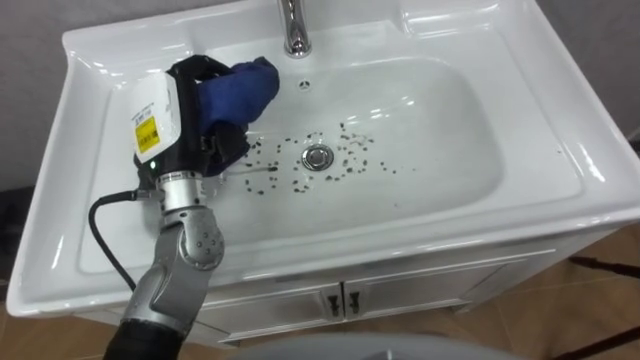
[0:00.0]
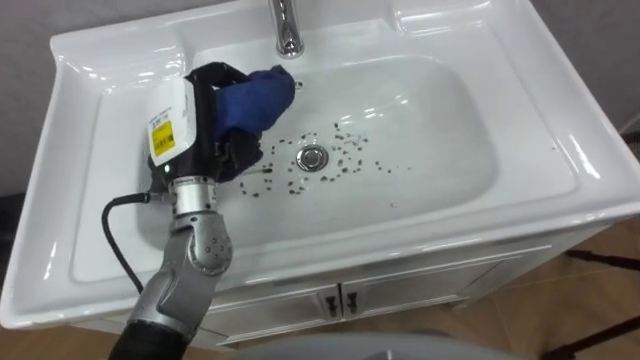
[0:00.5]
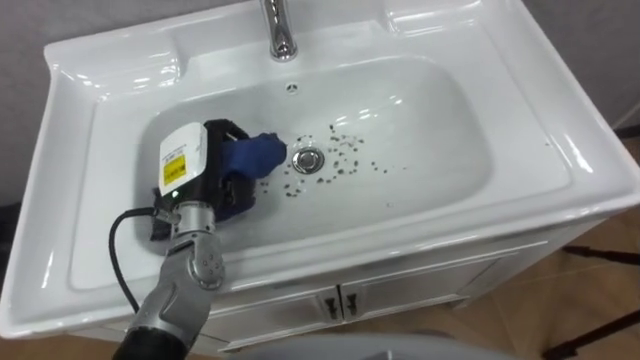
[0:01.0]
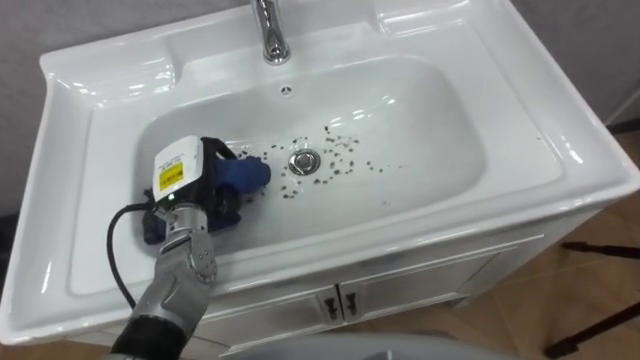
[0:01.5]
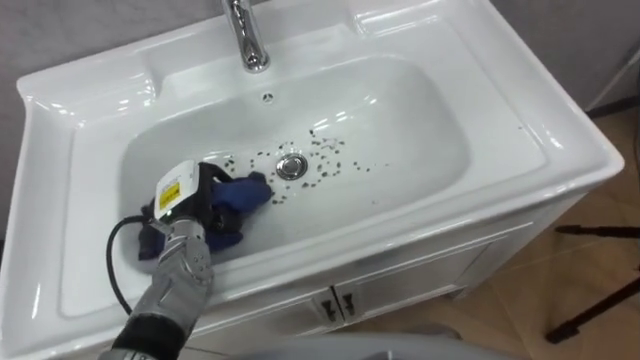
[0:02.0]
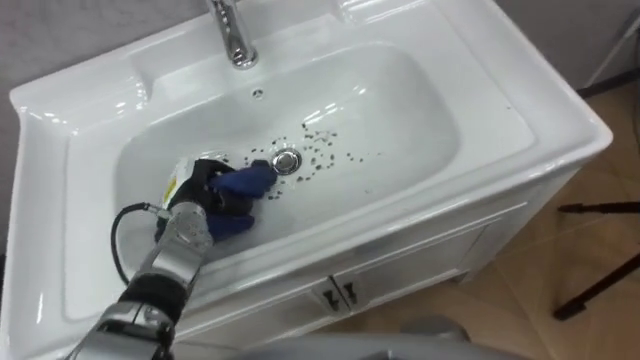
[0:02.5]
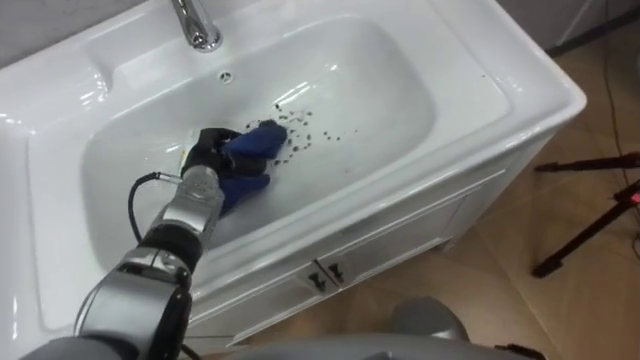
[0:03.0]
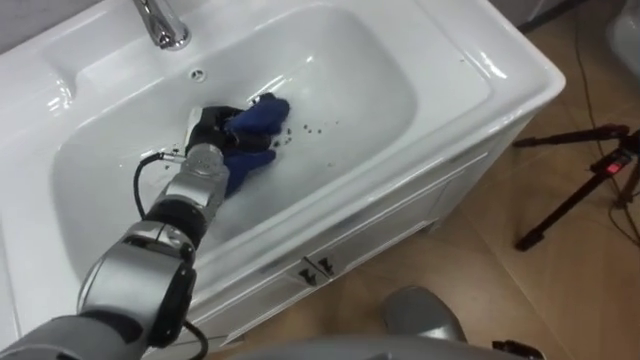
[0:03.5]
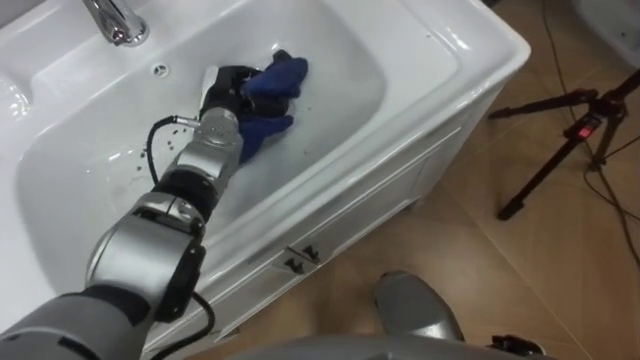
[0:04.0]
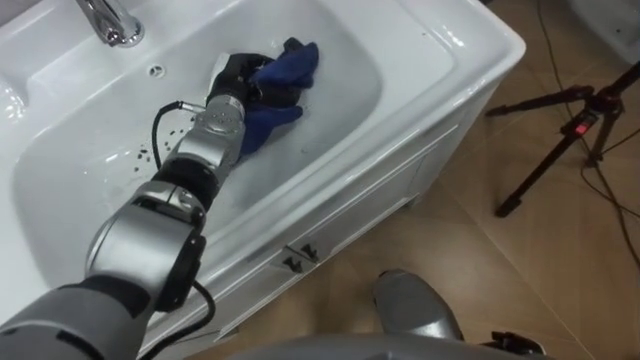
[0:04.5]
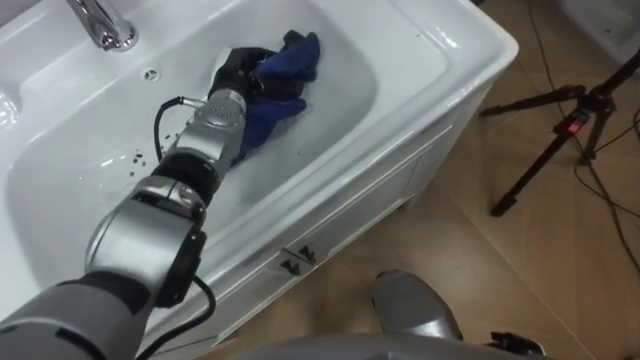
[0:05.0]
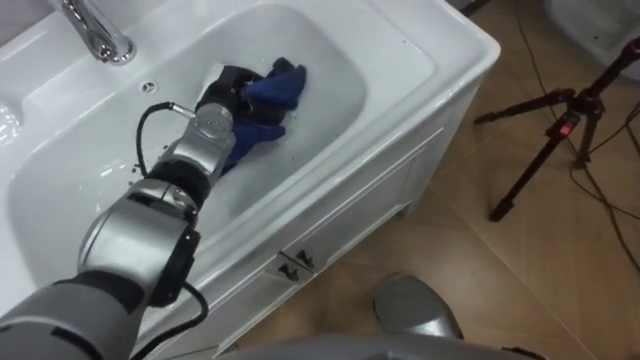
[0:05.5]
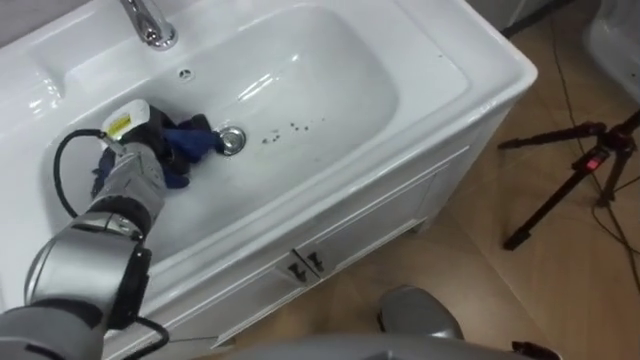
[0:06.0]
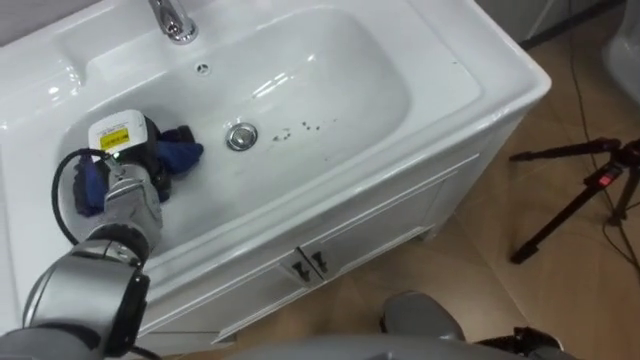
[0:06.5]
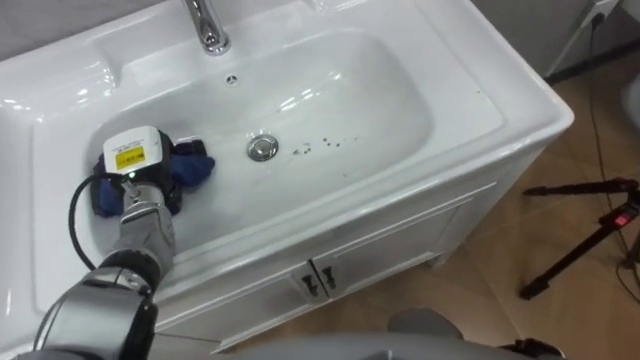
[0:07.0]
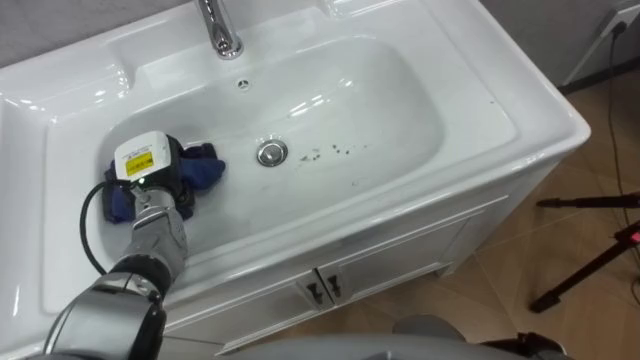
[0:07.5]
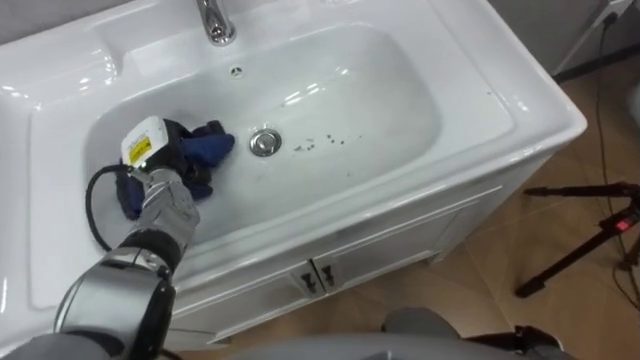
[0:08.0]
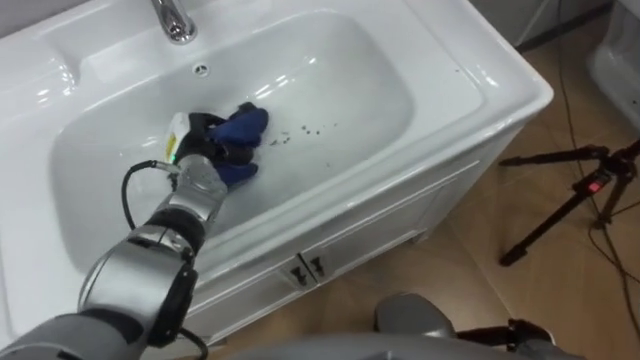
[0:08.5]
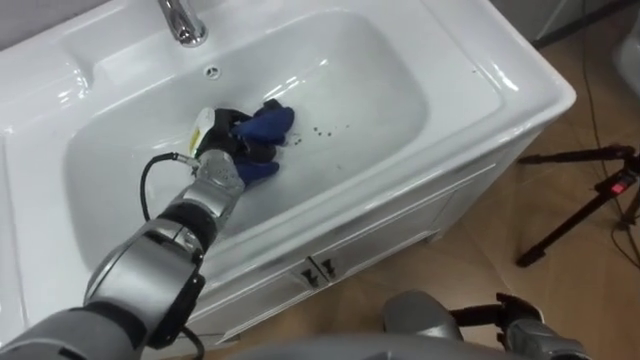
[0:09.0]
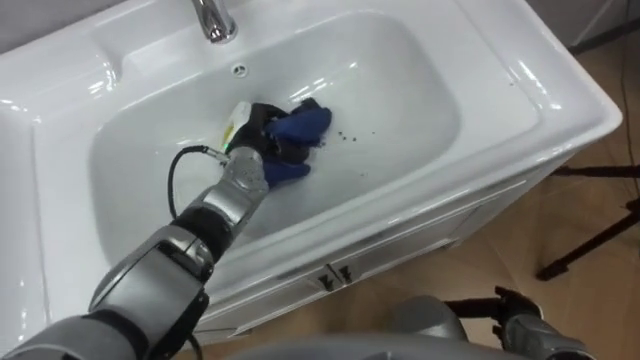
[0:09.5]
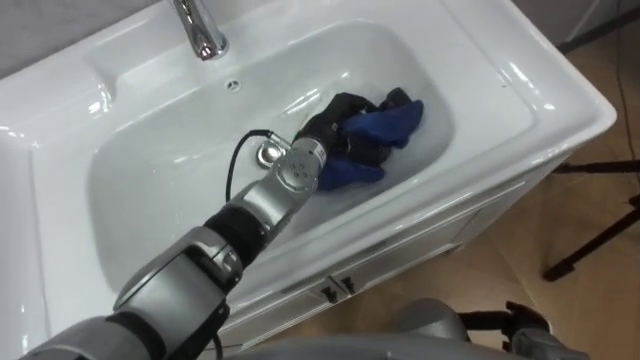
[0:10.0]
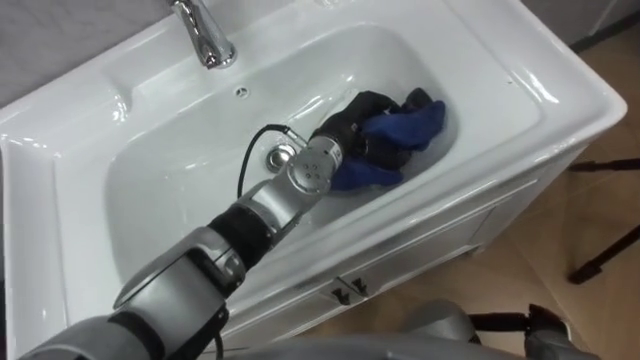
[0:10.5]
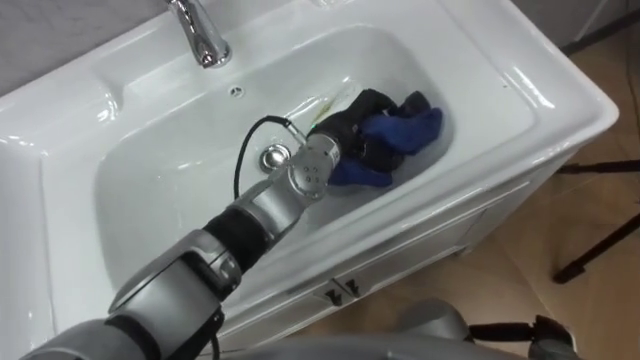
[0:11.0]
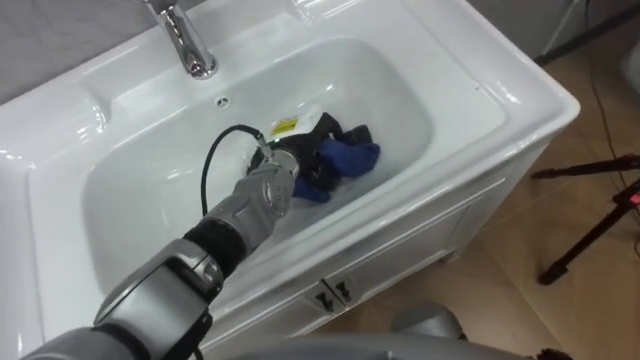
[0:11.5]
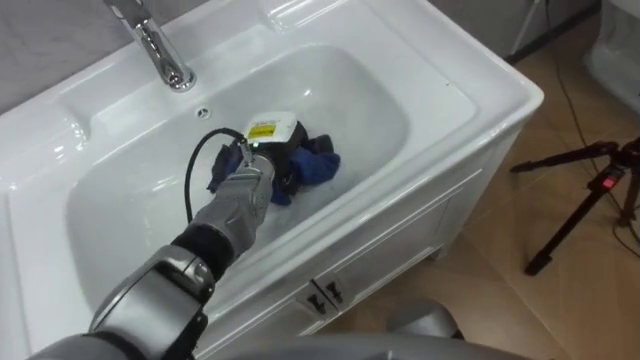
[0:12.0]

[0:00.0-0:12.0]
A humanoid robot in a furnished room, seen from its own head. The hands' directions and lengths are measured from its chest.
Task of the whole recording: Use the cloth on the right to wipe away the black stain in the sink.
0.0 to 2.0 s: The left hand shifts some 15 cm downward.
2.0 to 4.0 s: The left hand is displaced forward, to the right and upward by about 15 cm.
4.0 to 6.0 s: The left hand is displaced to the left by some 15 cm.
8.0 to 10.0 s: The left hand is displaced to the right by some 25 cm.
10.0 to 12.0 s: The left hand travels to the left by approximately 10 cm.

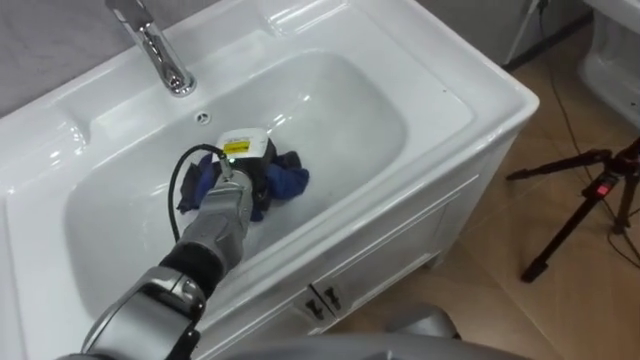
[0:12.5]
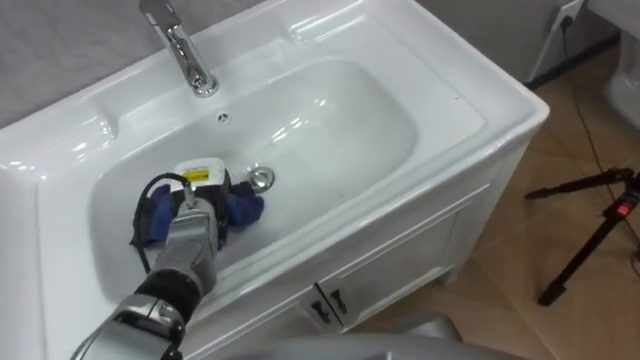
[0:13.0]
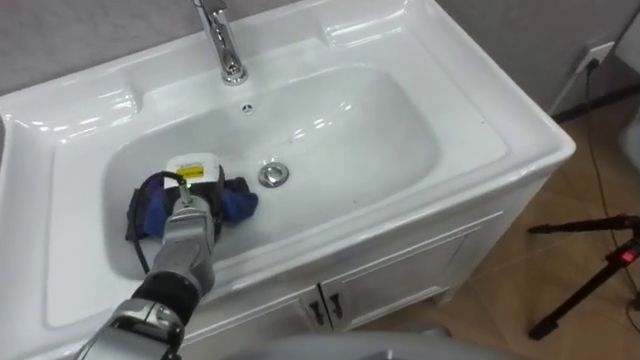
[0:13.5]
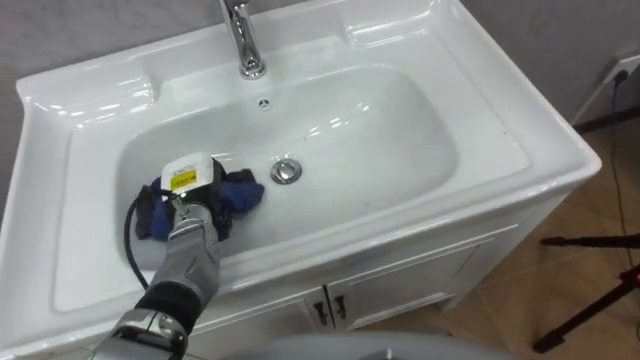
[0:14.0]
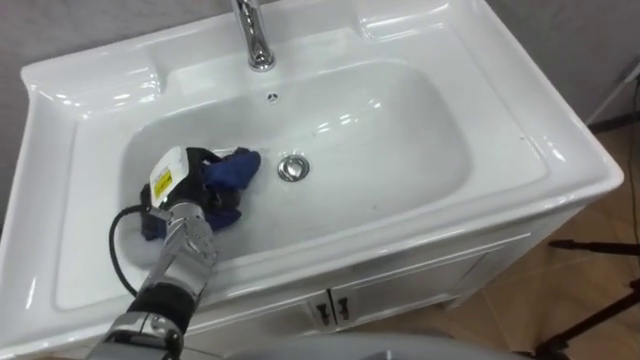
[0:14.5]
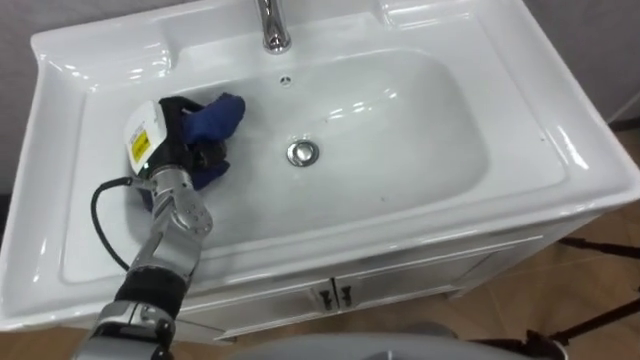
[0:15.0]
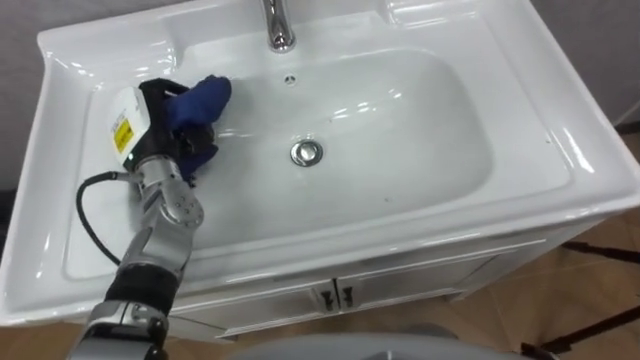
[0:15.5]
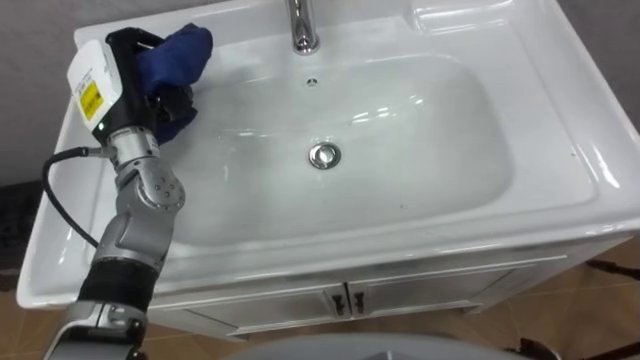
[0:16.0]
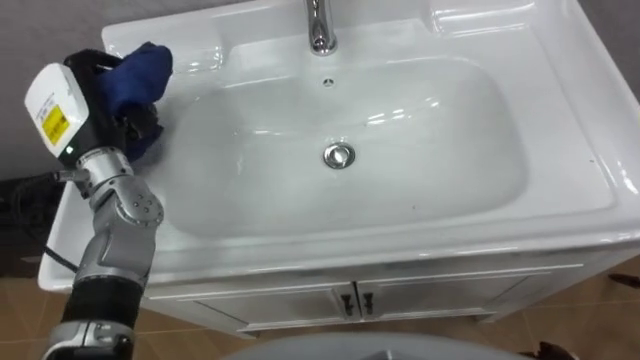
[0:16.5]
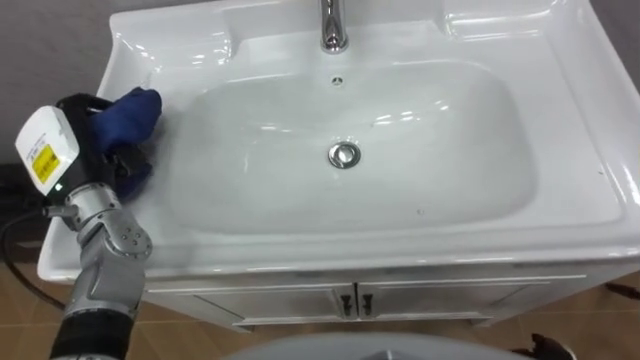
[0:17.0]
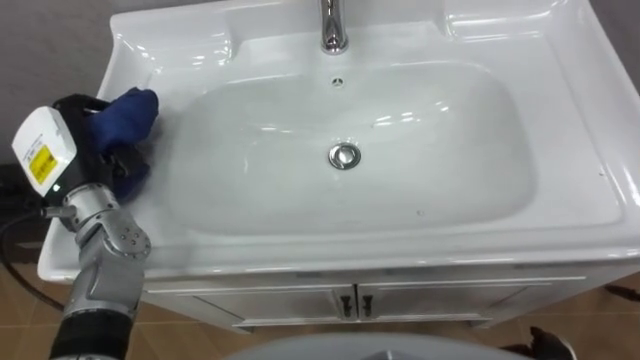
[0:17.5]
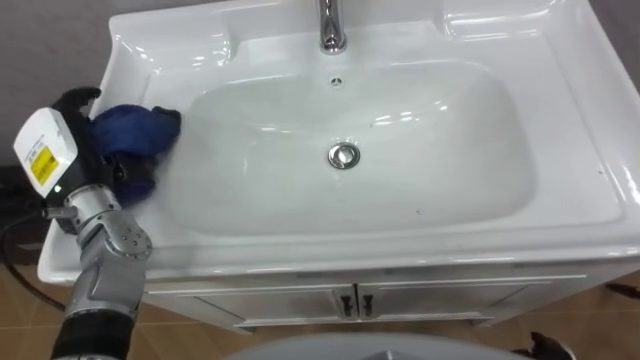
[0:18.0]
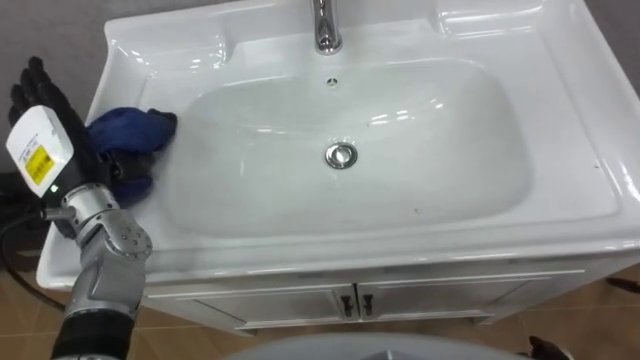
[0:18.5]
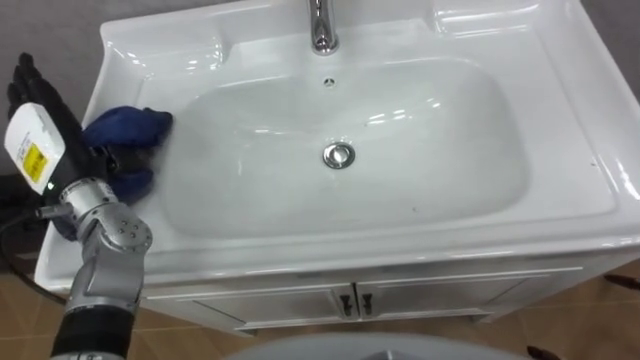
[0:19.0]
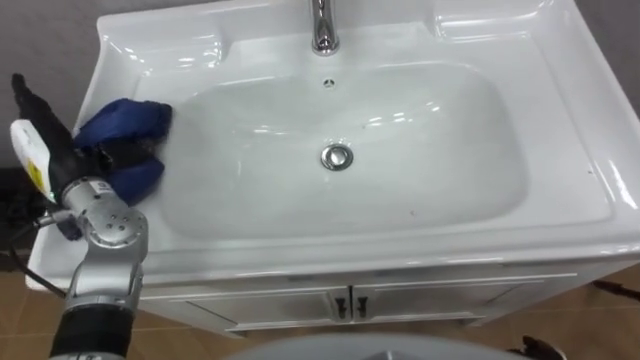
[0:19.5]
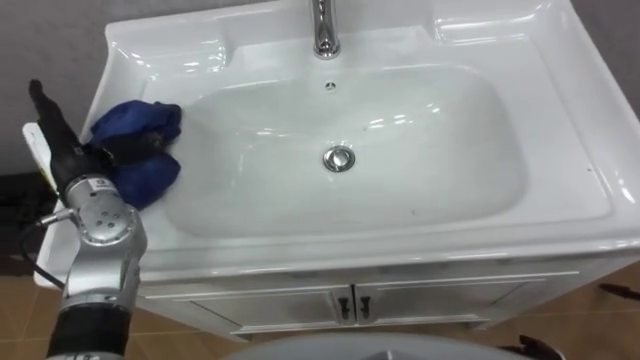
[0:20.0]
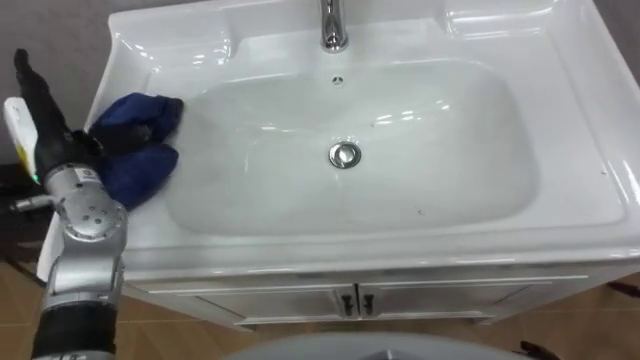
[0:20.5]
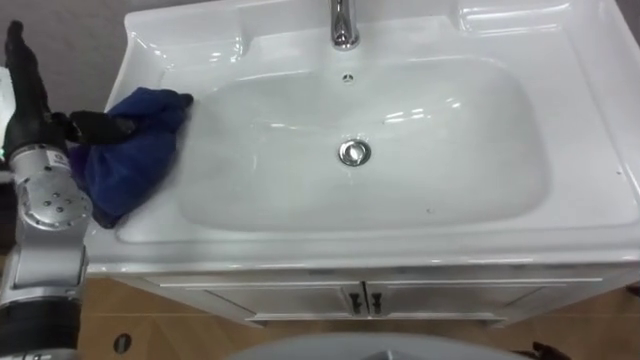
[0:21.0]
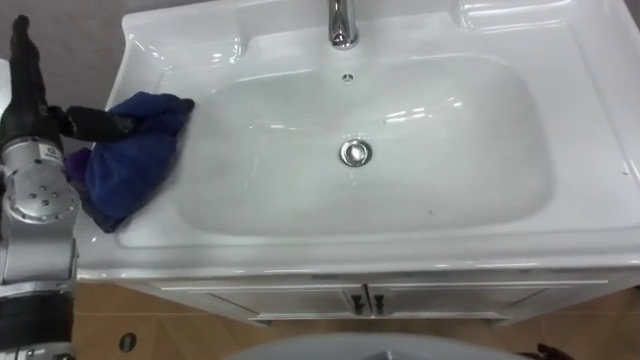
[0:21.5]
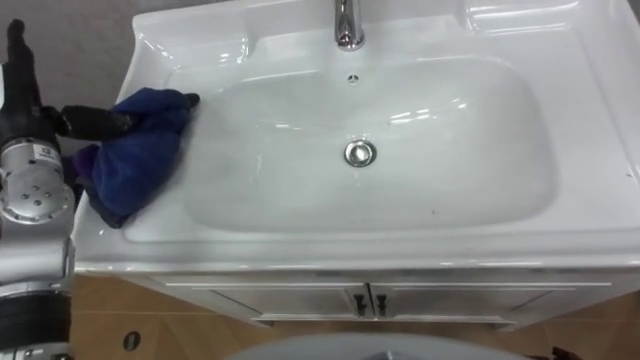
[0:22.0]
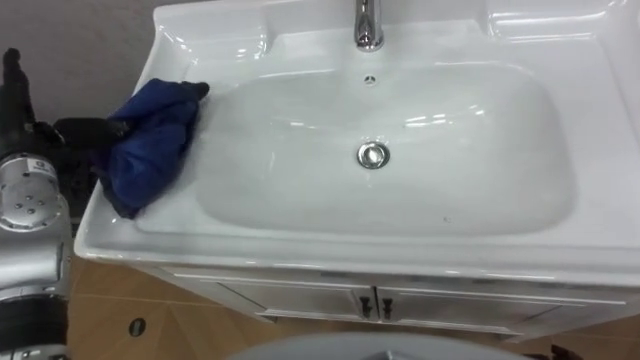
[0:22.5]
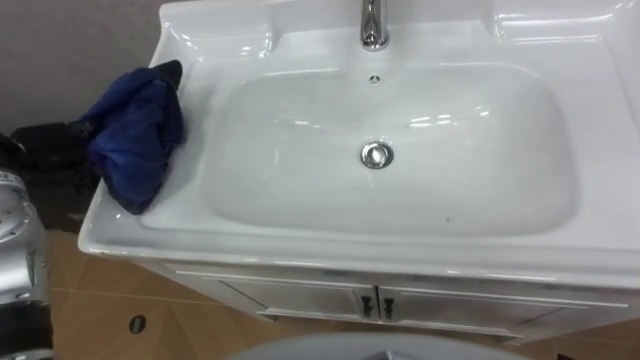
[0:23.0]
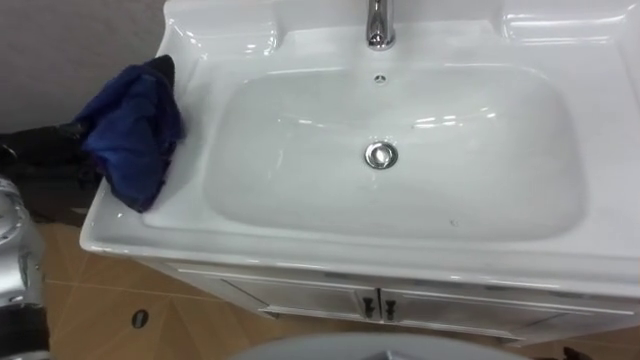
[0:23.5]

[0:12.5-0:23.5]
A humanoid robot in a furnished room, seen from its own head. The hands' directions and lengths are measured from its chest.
Task of the whole recording: Use the cloth on the right to wipe away the black stain in the sink.
12.5 to 14.5 s: The left hand moves to the left, approximately 10 cm.
14.5 to 16.0 s: The left hand travels upward by roughly 15 cm.
16.0 to 18.0 s: The left hand shifts roughly 10 cm backward and to the left, and opens.
20.0 to 21.5 s: The left hand heads upward, covering approximately 5 cm.
